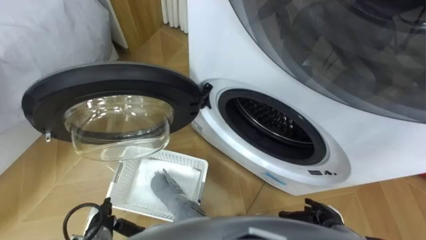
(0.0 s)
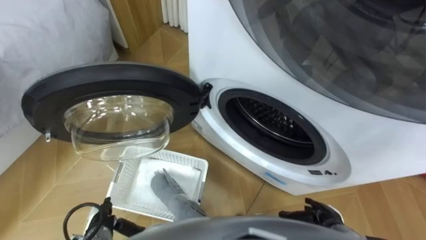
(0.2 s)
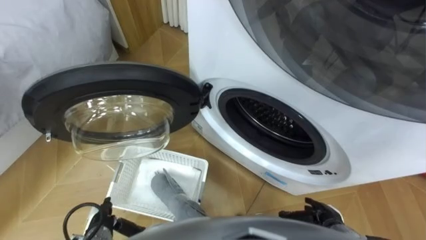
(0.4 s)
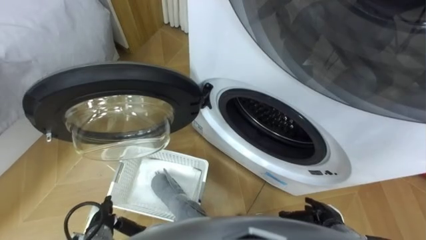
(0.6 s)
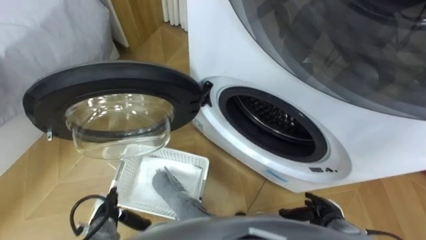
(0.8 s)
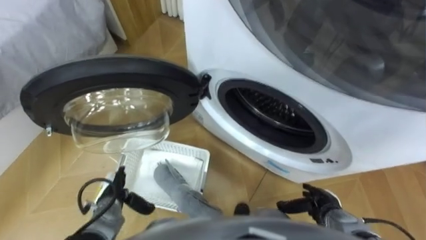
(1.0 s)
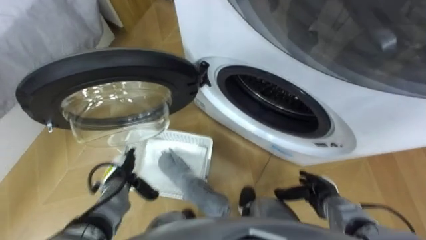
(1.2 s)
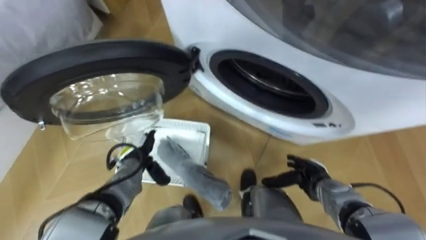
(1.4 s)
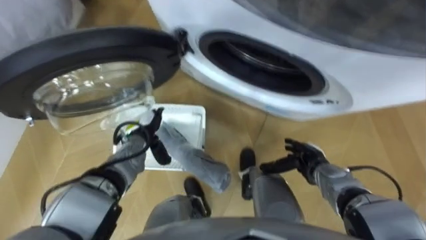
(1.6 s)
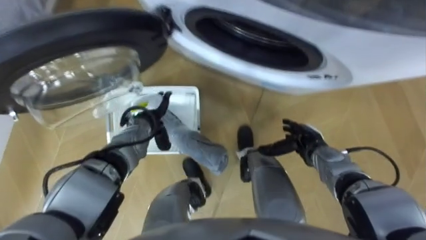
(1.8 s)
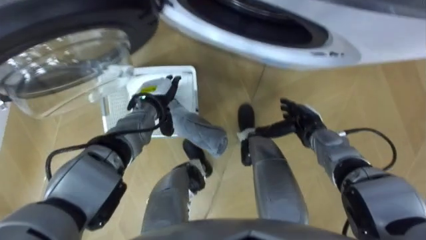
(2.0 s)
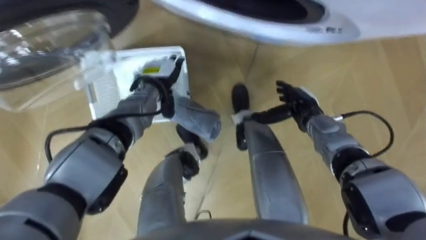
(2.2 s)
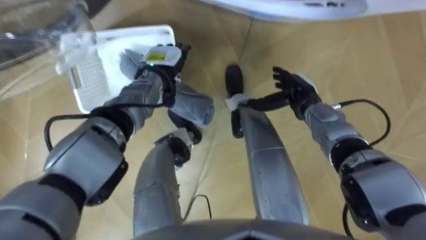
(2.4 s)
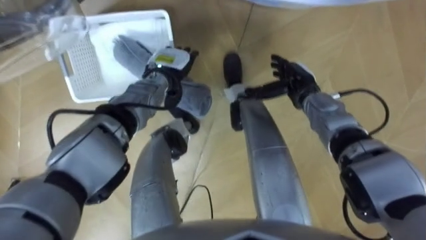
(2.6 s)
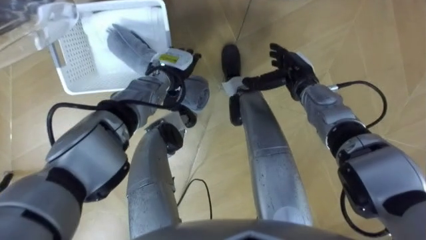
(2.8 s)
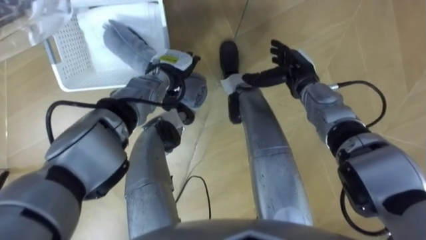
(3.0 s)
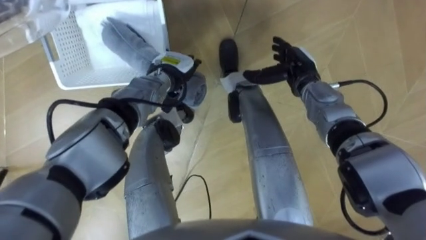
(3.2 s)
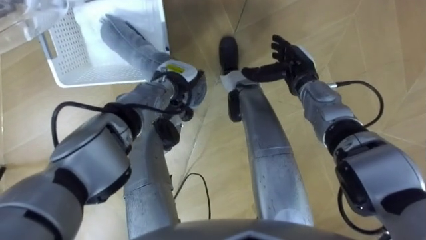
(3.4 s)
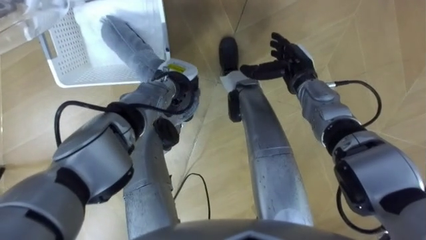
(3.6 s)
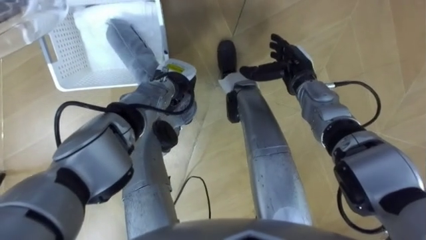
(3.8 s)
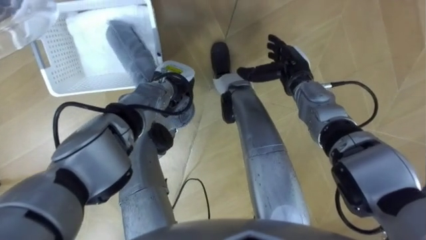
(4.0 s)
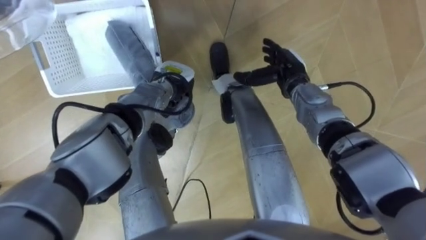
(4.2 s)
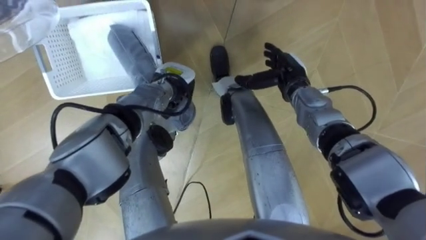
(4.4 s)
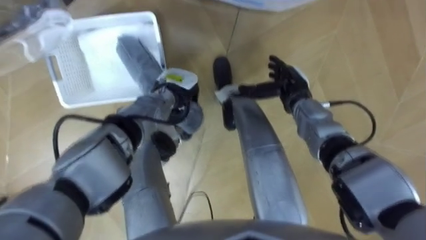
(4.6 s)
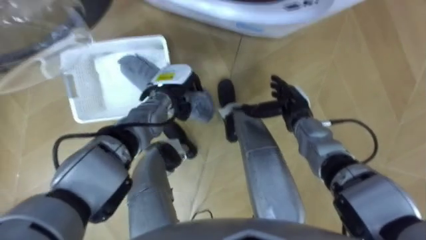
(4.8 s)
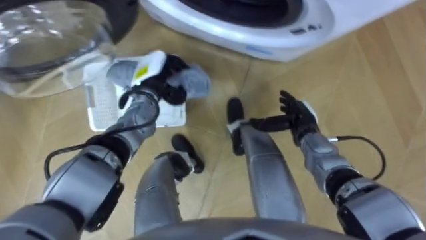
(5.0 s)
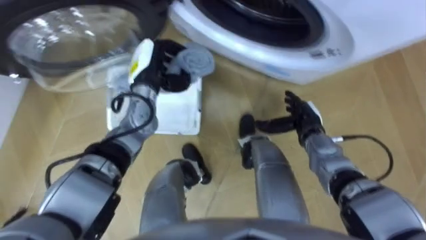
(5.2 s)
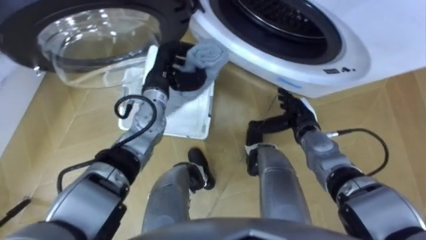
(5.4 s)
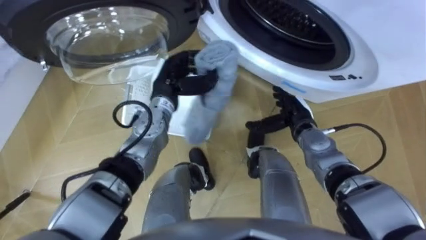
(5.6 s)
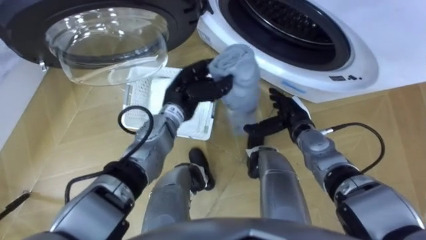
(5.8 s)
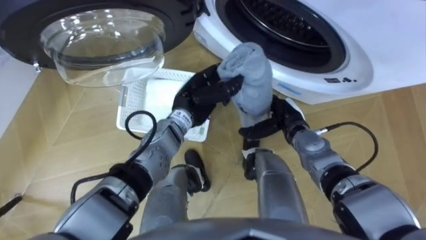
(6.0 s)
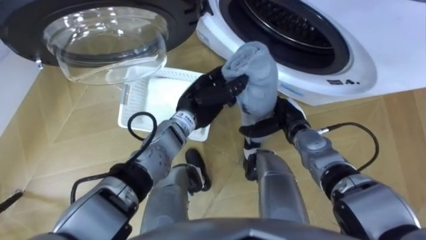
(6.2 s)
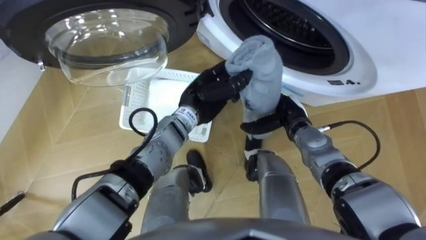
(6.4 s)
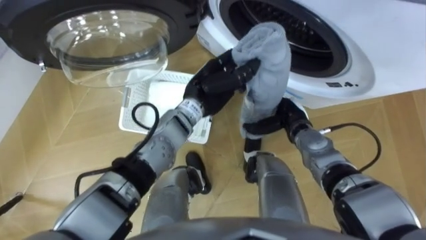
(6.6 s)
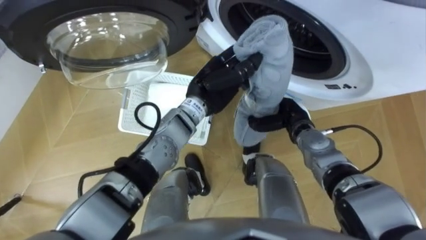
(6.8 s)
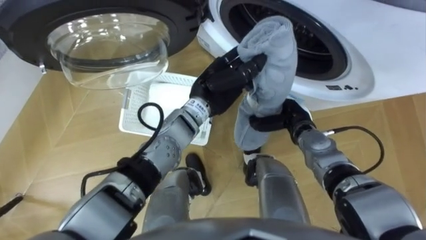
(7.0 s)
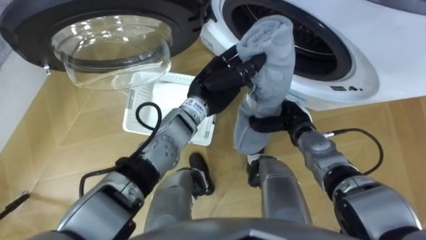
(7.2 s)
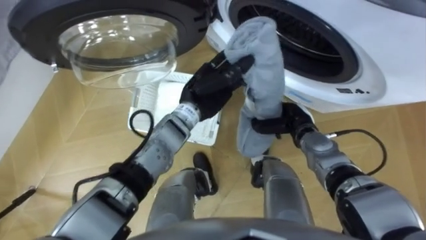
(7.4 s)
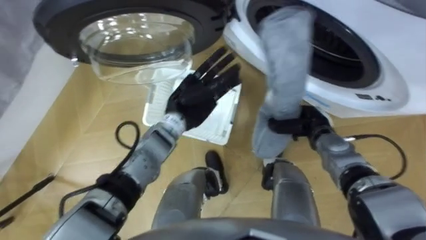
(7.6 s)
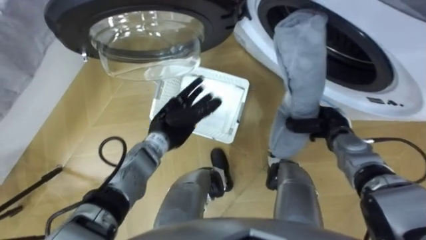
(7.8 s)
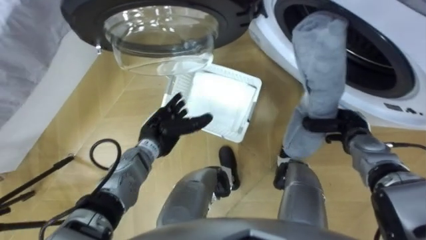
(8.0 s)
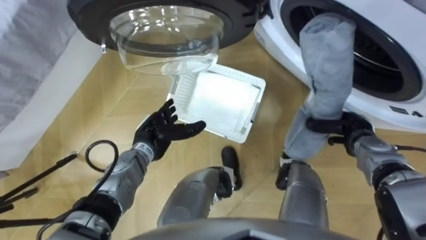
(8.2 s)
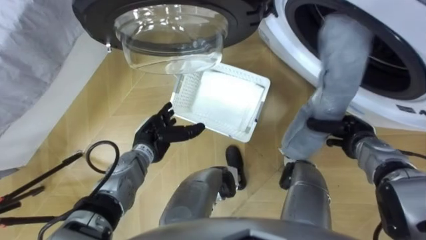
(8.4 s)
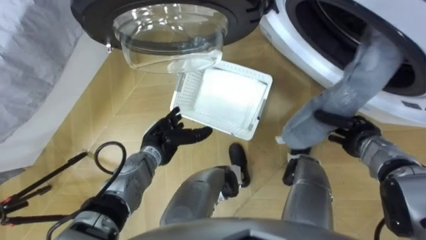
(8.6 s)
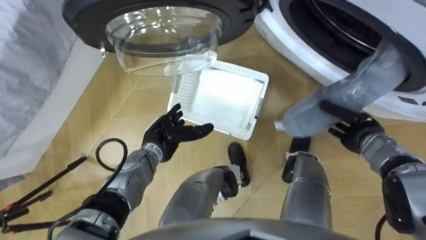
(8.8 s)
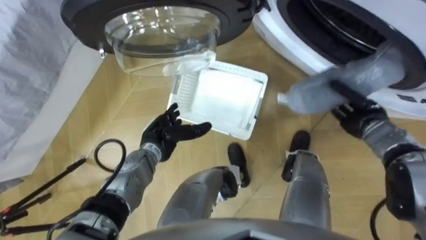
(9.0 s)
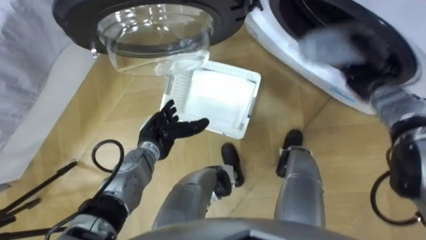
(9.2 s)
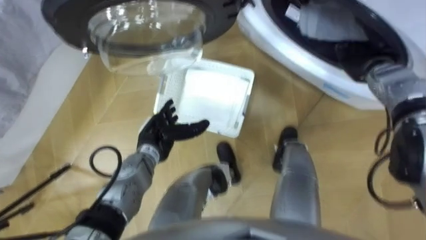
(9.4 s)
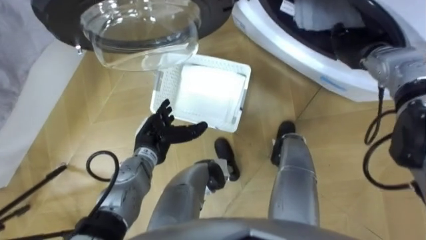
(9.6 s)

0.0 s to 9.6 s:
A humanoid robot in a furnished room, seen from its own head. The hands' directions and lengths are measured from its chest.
Task of the whole recording: Take the towel from the basket and put it into the washing machine.
1.6 to 3.2 s: The left hand travels forward, upward and to the right by about 15 cm, while the right hand is displaced forward and upward by approximately 20 cm.
3.2 to 4.8 s: The right hand heads backward and downward, covering roughly 10 cm. The left hand closes up.
4.8 to 6.4 s: The left hand heads to the right, covering some 5 cm.
6.4 to 8.0 s: The left hand shifts roughly 15 cm to the left, downward and backward, and opens up; the right hand goes some 15 cm to the right, and closes its fingers.
8.0 to 9.6 s: The right hand is displaced upward and forward by about 20 cm.

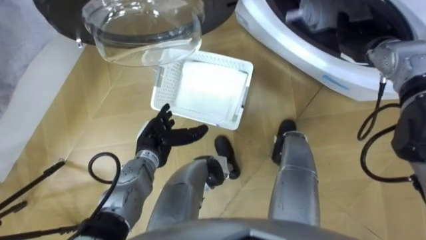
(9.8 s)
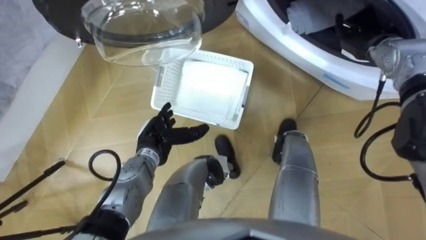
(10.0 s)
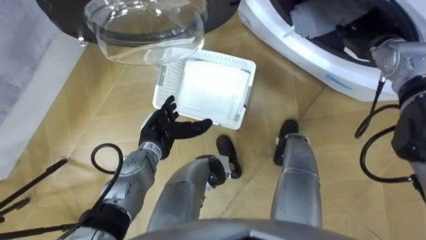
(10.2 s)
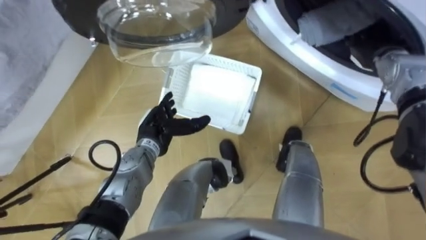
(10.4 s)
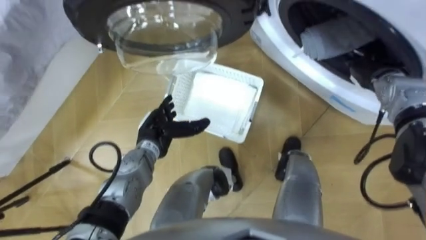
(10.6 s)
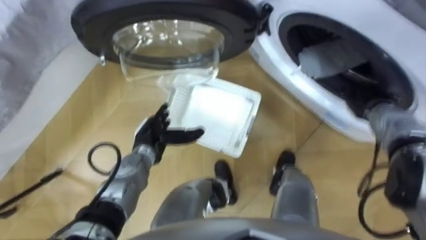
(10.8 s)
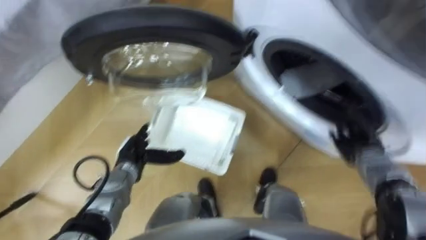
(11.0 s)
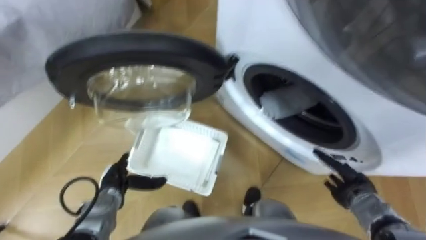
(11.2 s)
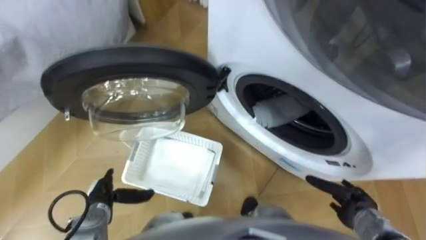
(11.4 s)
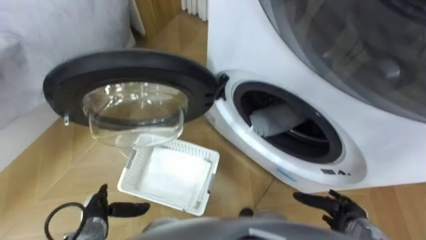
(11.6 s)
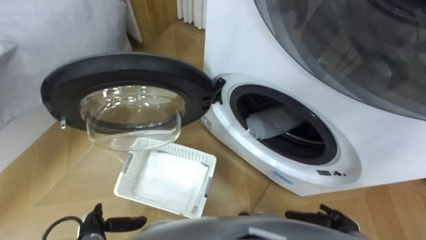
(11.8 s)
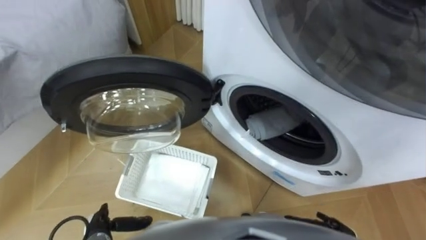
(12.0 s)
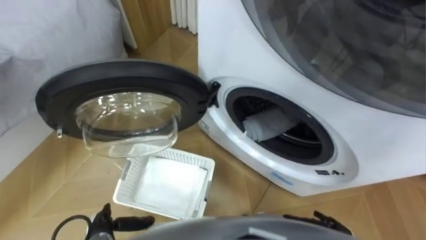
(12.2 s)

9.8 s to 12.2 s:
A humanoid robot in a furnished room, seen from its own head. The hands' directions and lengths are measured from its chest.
Task of the whole recording: Take the towel from the basket and put it into the washing machine.
9.8 to 11.0 s: The left hand shifts by some 5 cm, while the right hand is displaced backward and downward by roughly 20 cm.
11.0 to 12.2 s: The right hand shifts roughly 25 cm backward and downward; the left hand moves backward and to the left, about 20 cm.

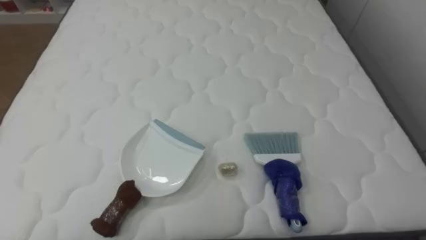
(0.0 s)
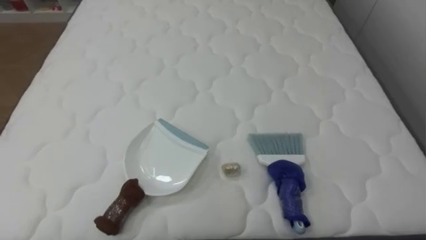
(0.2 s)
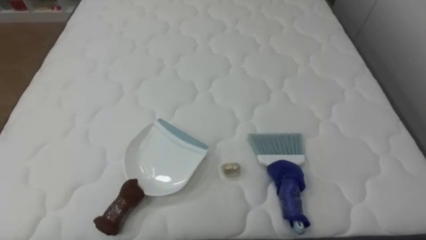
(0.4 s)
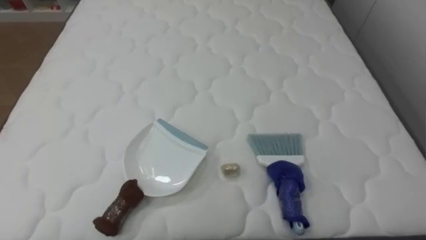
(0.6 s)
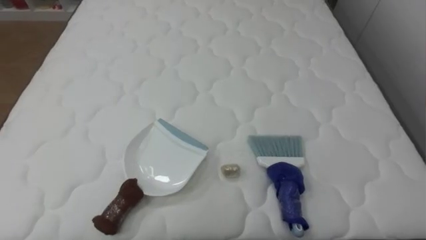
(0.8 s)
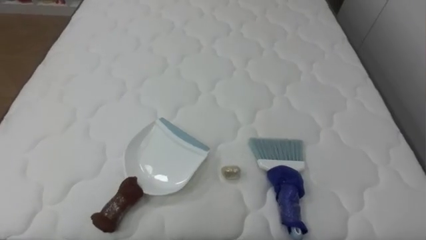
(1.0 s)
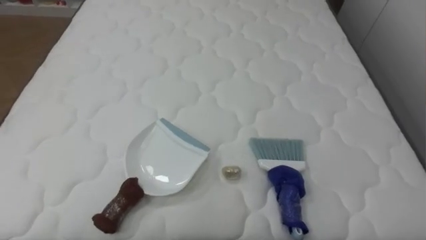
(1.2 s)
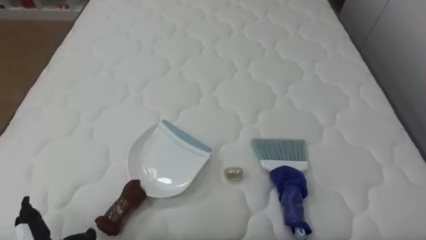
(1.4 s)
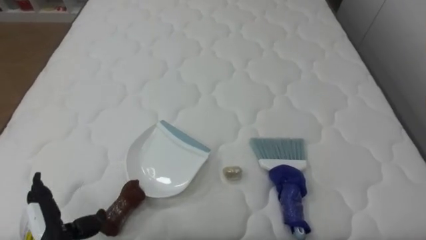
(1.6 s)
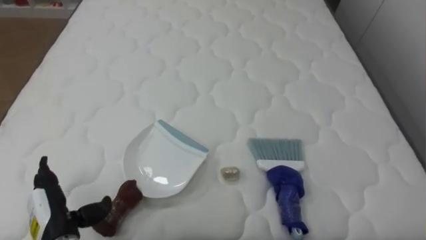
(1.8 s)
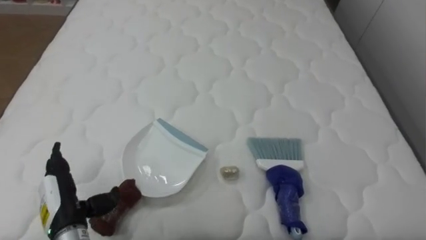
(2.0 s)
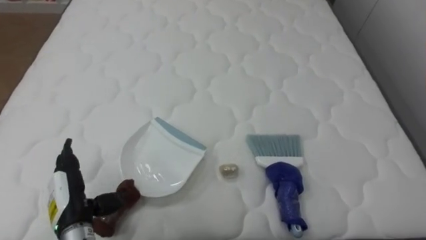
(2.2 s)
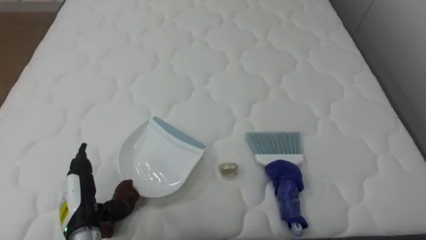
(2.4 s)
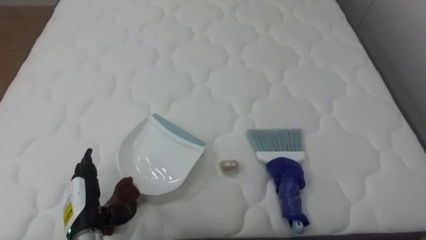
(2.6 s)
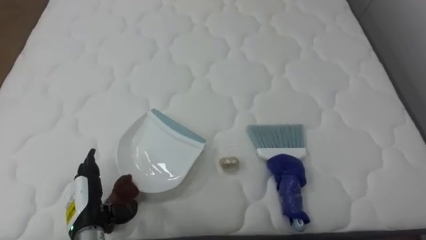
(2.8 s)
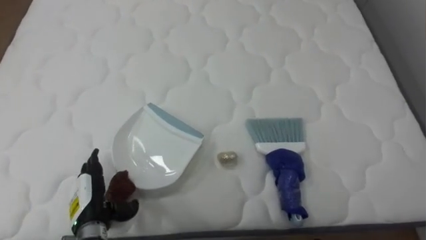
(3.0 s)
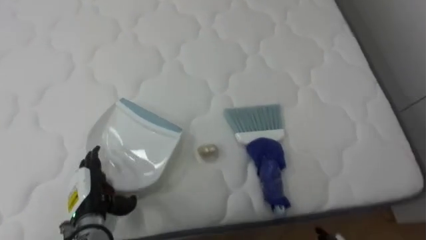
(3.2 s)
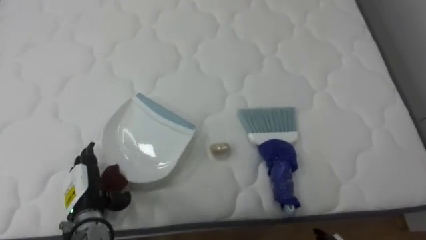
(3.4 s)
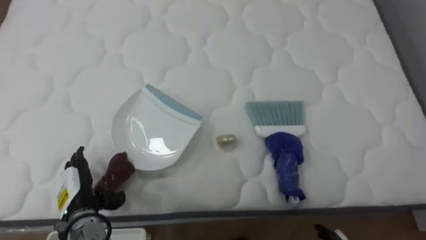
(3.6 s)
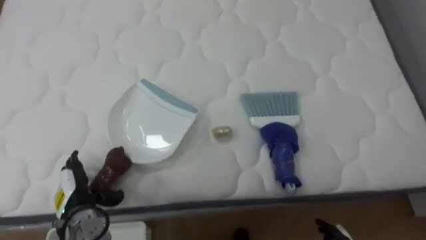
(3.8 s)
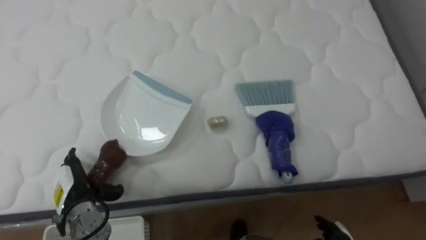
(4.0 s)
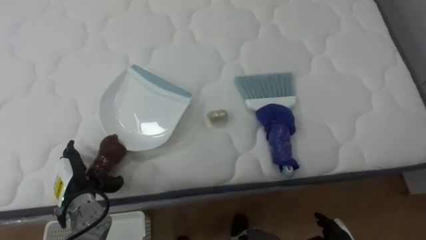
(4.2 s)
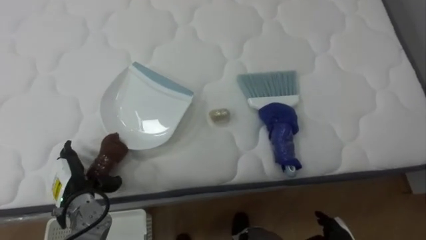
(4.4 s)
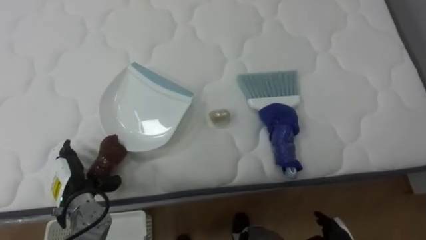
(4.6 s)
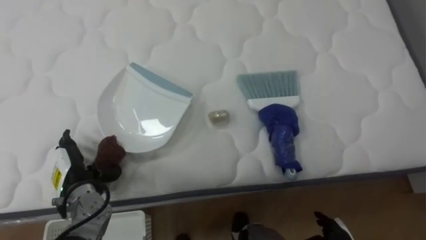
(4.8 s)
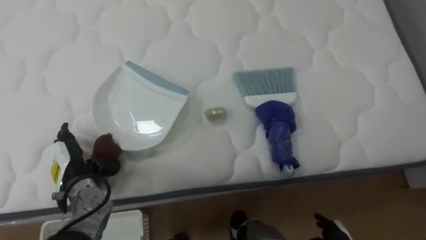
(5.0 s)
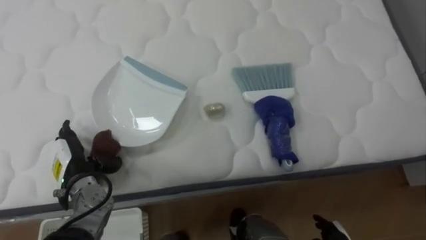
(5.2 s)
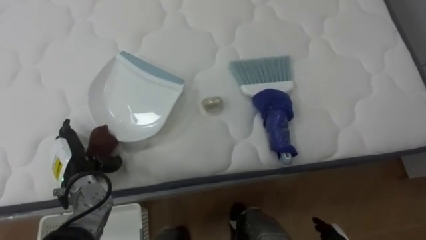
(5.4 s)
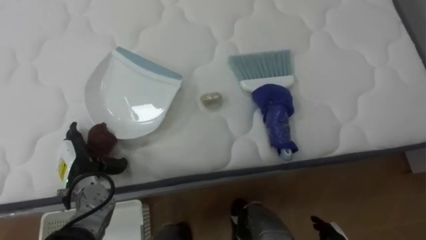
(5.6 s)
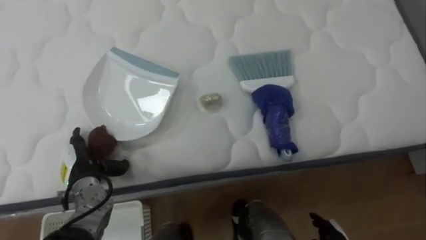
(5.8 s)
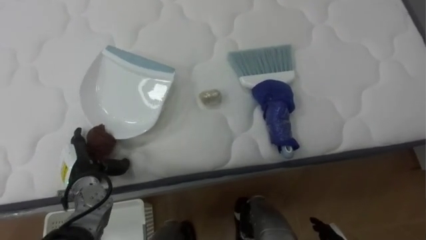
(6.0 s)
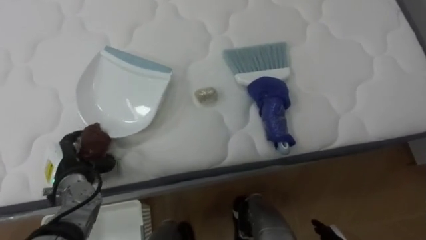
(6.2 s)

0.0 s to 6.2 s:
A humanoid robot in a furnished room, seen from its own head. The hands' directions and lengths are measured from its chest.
Task of the whole recording: Pick up the brush on your right and the dustpan on your left. Use the brush to sweep the crumpled paper on the bed into the dustpan, then turn left and empty it into the basket.
1.6 to 3.2 s: The left hand heads forward, covering approximately 5 cm.
